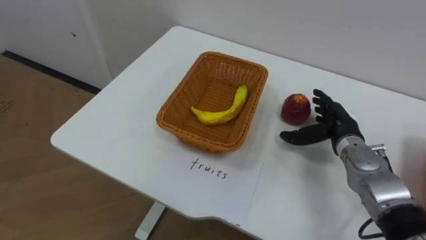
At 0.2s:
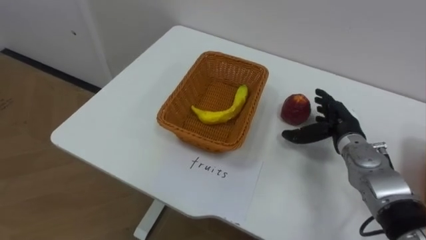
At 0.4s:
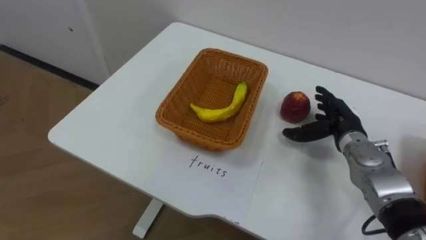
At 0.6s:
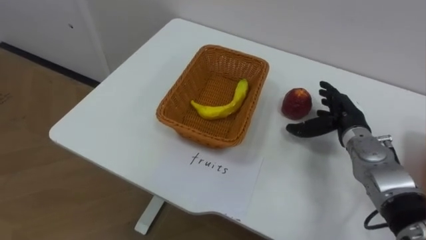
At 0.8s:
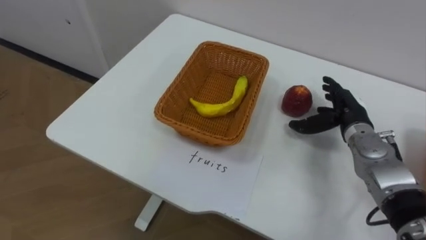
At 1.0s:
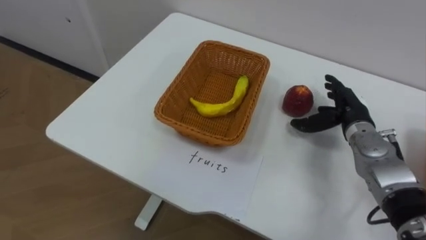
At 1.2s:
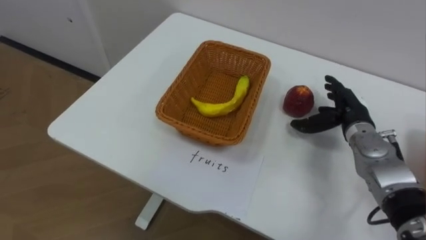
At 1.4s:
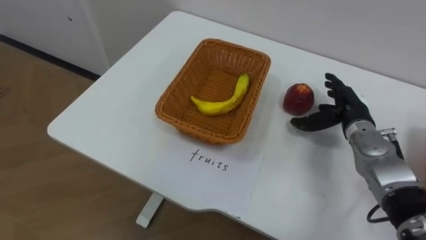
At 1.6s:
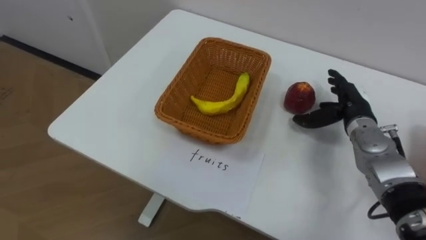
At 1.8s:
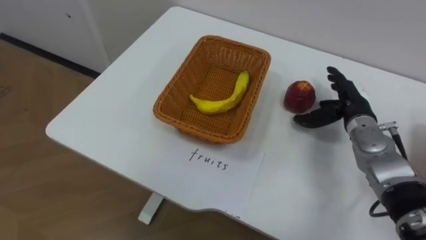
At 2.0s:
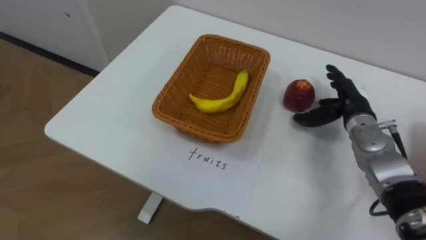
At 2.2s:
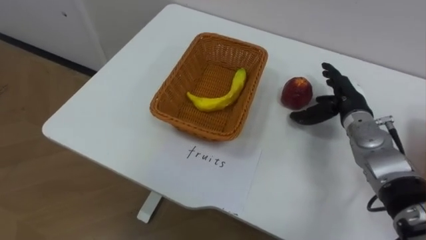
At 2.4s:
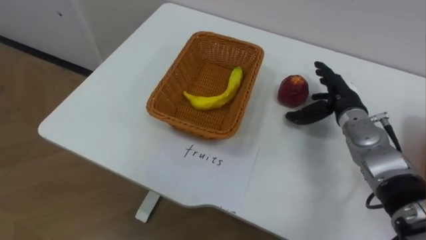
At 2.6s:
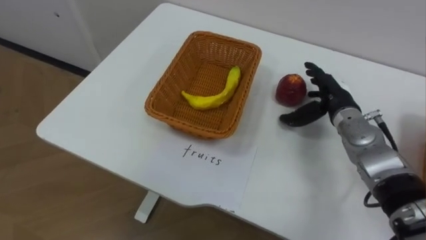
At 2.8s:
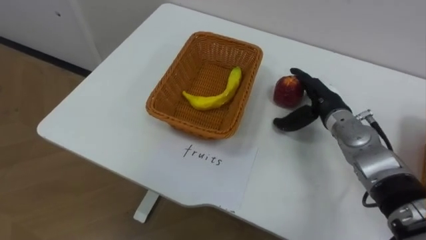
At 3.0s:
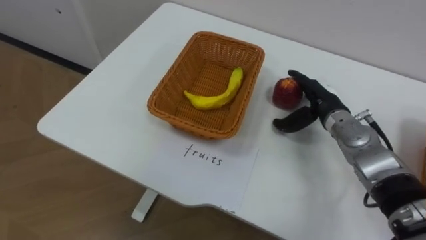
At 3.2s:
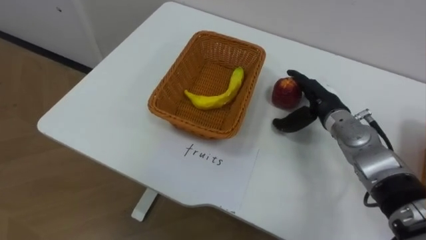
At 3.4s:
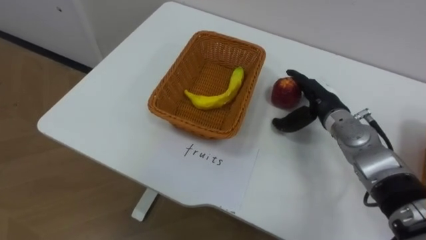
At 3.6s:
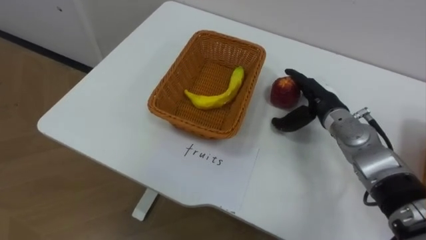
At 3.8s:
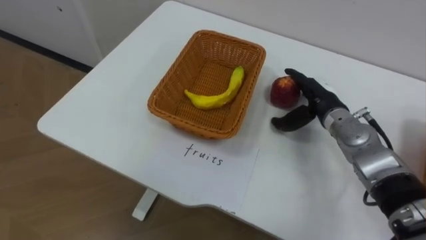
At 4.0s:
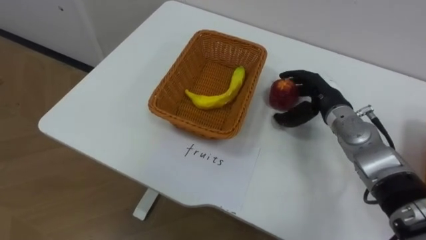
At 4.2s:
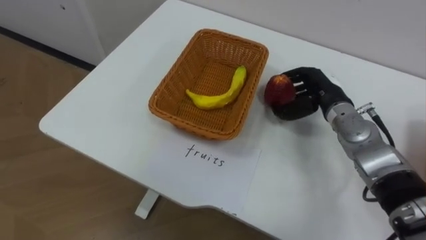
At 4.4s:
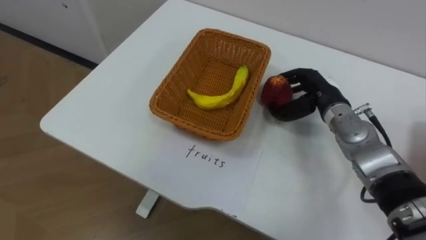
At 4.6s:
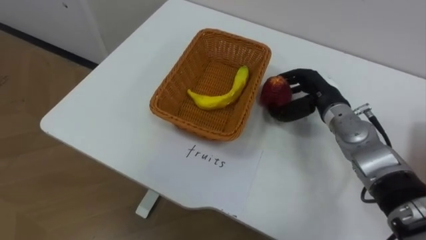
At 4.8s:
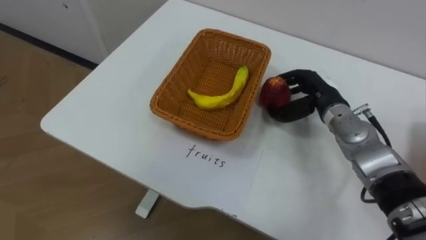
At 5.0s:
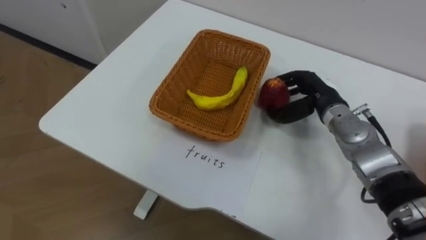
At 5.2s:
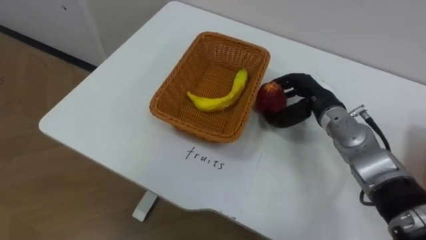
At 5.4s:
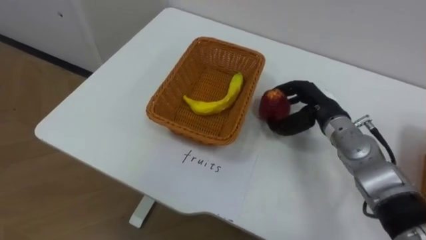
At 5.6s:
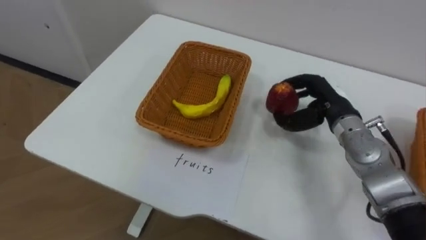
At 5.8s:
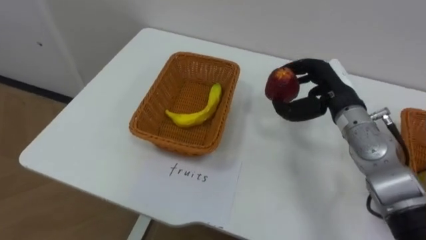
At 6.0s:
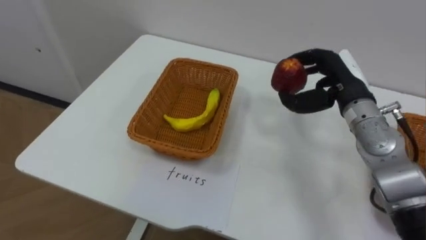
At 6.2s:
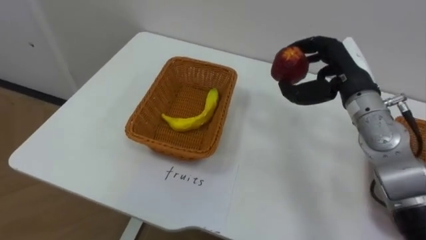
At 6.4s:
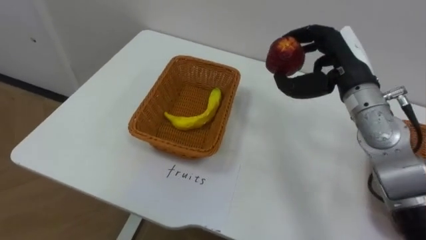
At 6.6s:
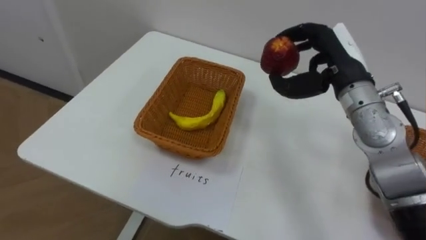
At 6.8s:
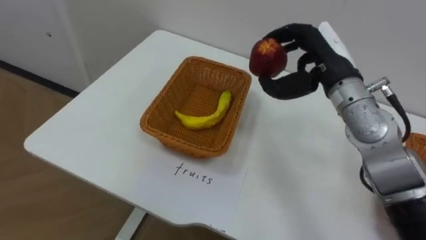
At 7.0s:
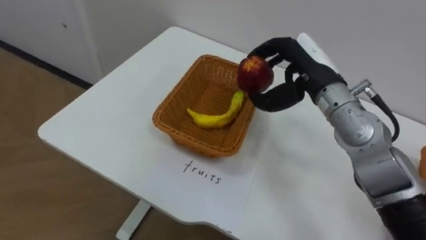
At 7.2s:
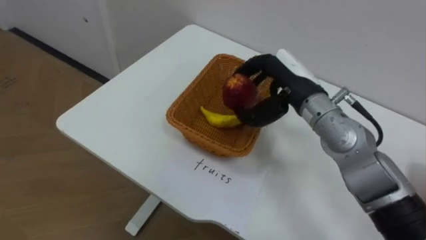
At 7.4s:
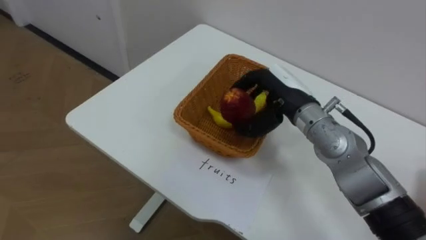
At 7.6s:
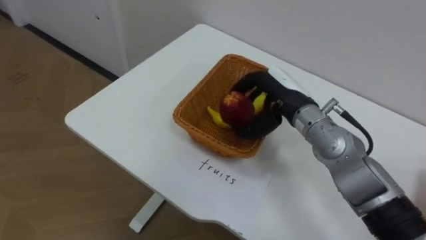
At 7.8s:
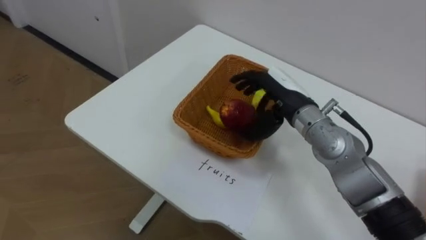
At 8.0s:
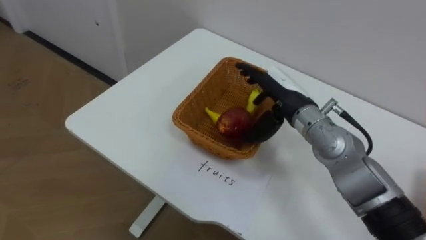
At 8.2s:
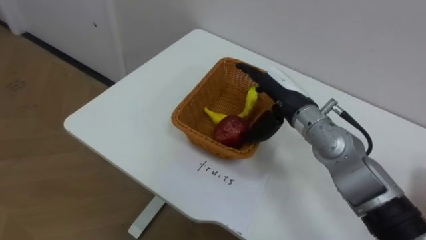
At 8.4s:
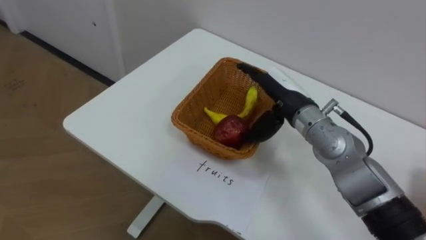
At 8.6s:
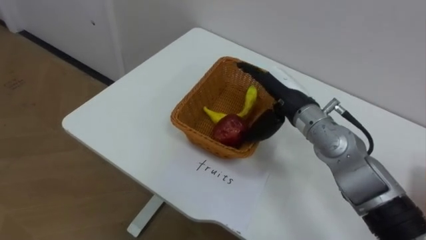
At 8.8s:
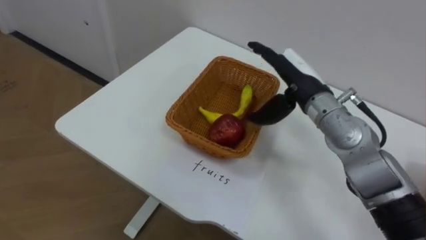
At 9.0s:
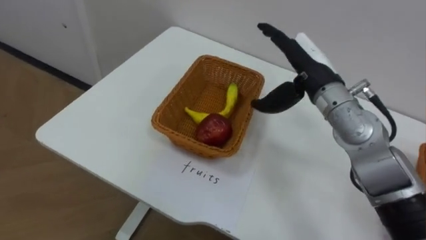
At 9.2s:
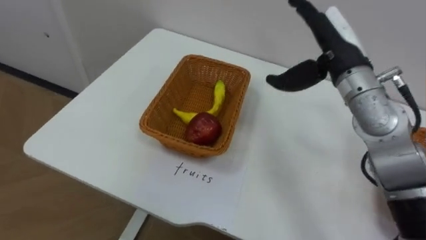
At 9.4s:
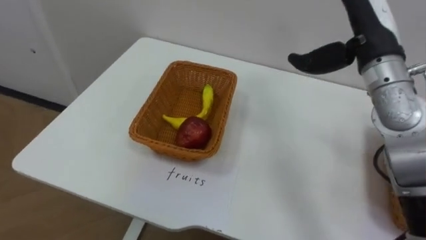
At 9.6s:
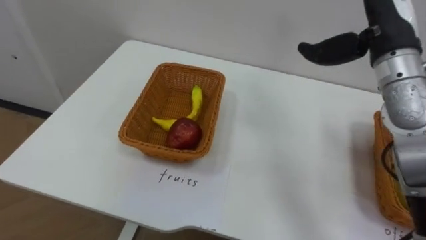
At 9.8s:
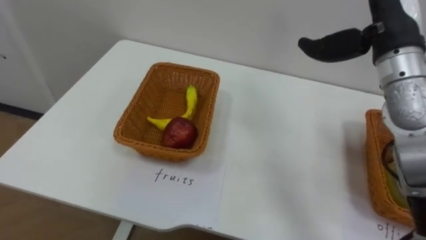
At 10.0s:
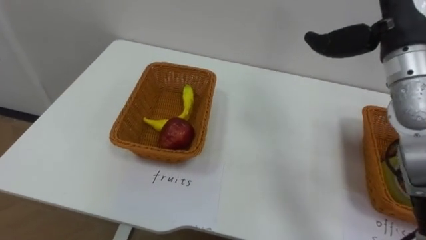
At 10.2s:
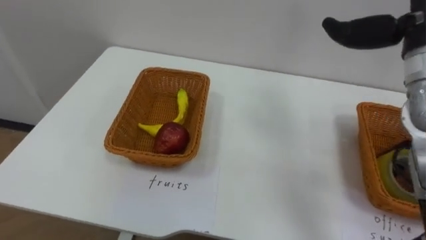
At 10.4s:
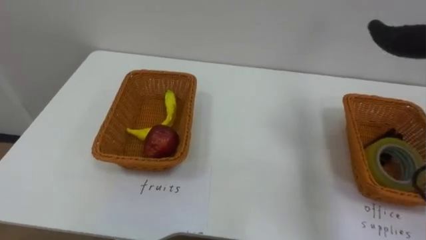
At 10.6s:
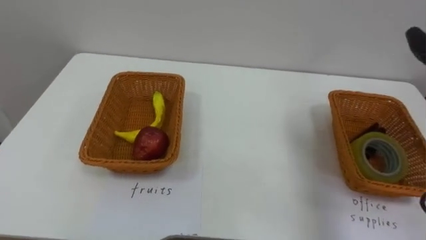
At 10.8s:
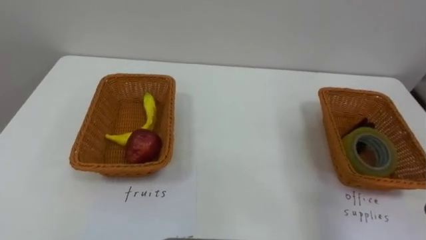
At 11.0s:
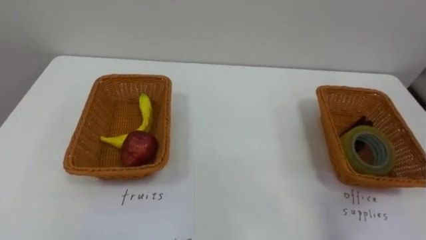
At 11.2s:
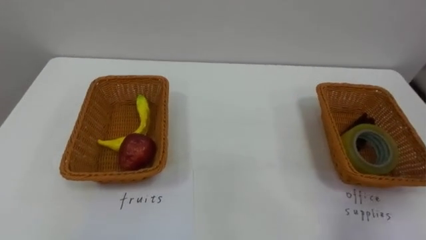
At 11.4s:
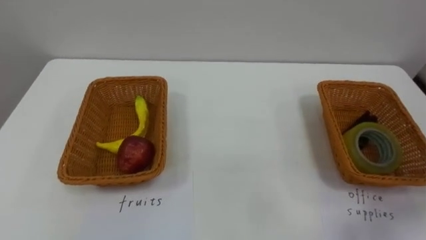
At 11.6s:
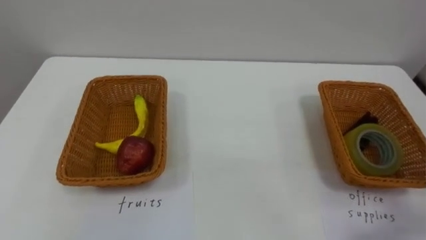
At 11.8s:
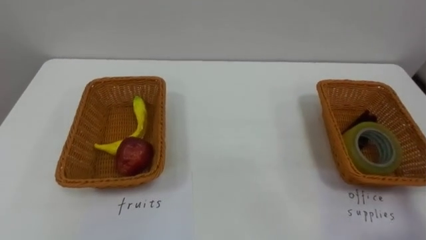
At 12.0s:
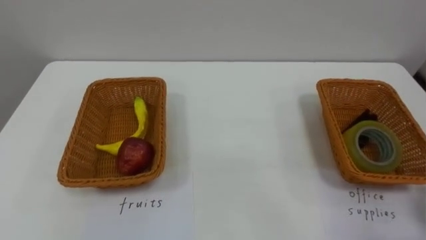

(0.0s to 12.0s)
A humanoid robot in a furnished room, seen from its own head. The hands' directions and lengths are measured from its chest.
Task of the whole recording: Separate the items on the table and place them into the two baskets.
1.6s - 3.0s: The right hand moves to the left, approximately 5 cm.
3.0s - 4.4s: The right hand closes its fingers.
4.4s - 6.0s: The right hand goes about 5 cm upward.
6.0s - 7.6s: The right hand heads to the left, covering about 10 cm.
7.6s - 9.0s: The right hand ends up approximately 5 cm from where it was, and opens its fingers.

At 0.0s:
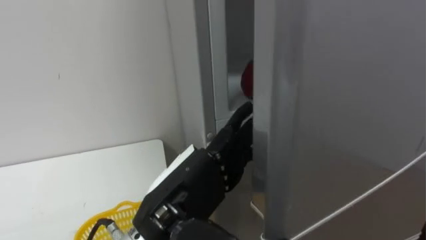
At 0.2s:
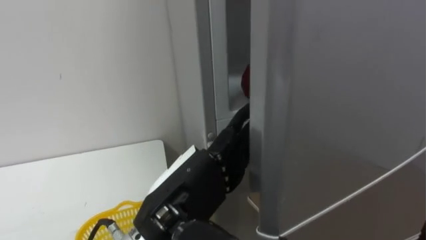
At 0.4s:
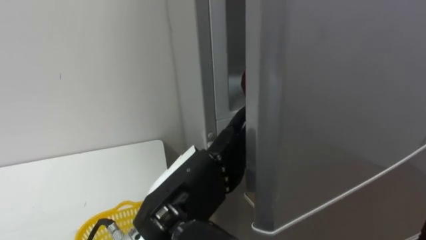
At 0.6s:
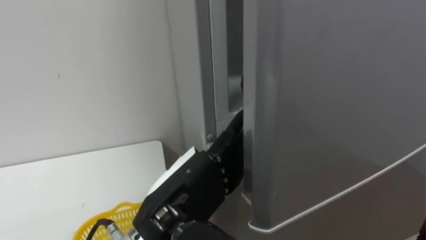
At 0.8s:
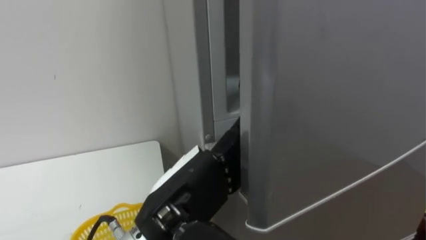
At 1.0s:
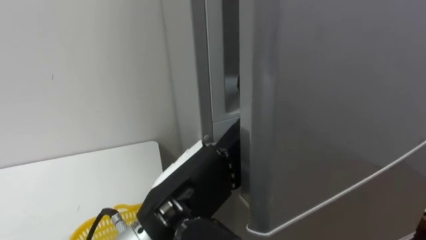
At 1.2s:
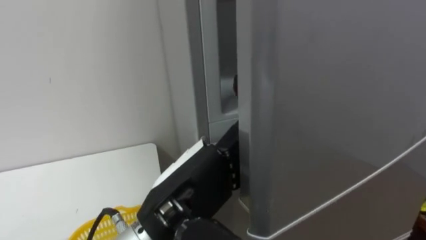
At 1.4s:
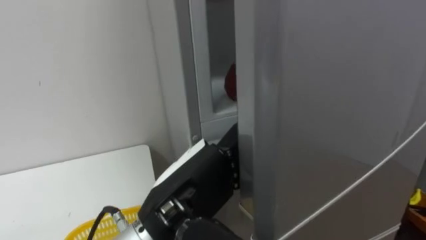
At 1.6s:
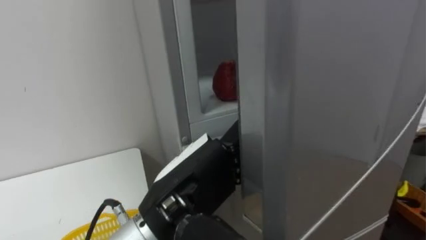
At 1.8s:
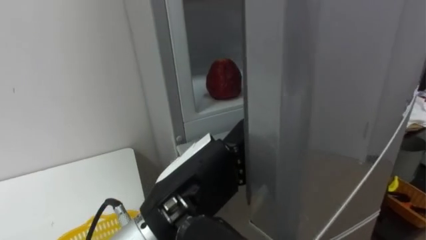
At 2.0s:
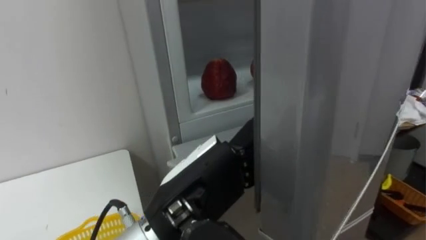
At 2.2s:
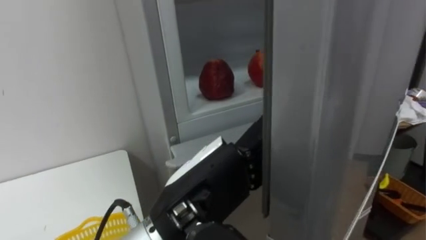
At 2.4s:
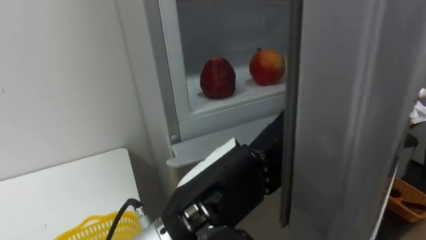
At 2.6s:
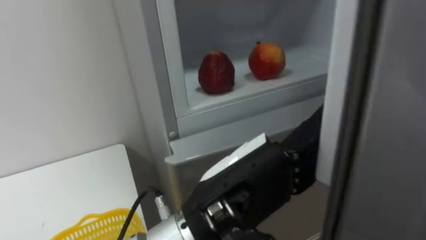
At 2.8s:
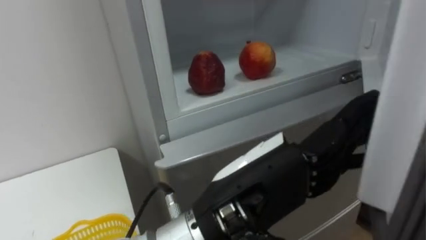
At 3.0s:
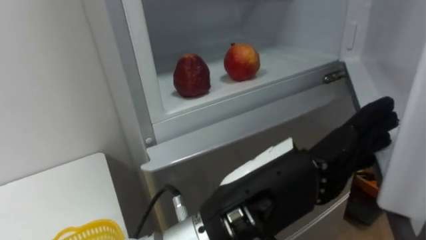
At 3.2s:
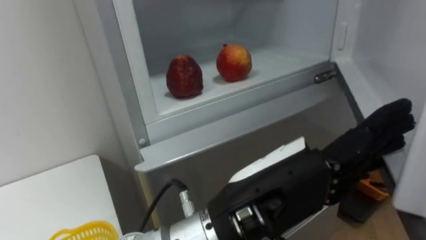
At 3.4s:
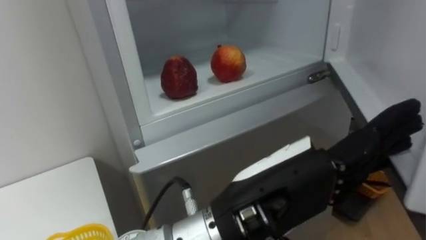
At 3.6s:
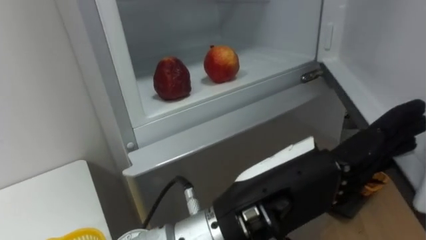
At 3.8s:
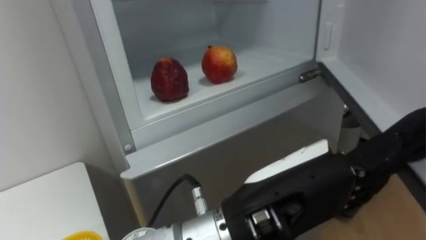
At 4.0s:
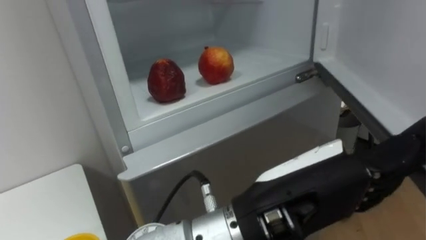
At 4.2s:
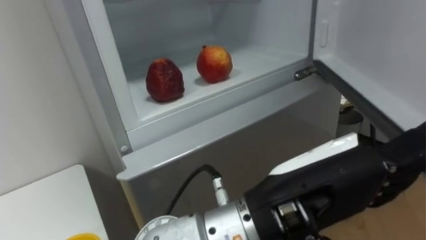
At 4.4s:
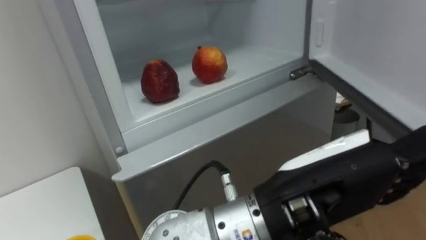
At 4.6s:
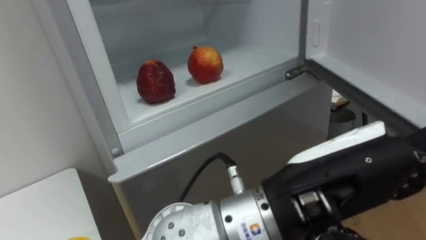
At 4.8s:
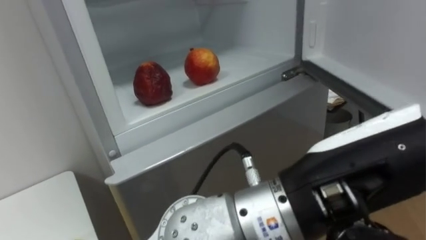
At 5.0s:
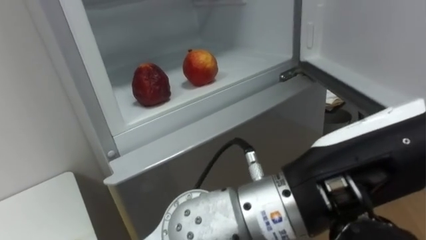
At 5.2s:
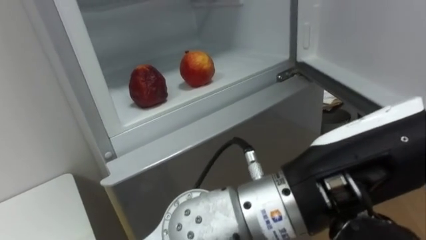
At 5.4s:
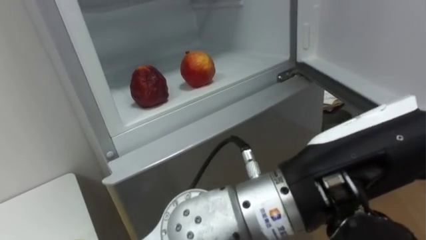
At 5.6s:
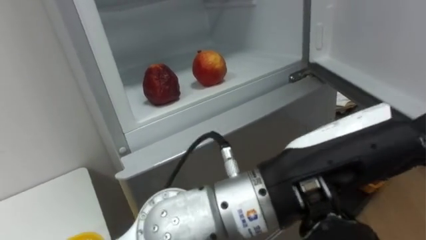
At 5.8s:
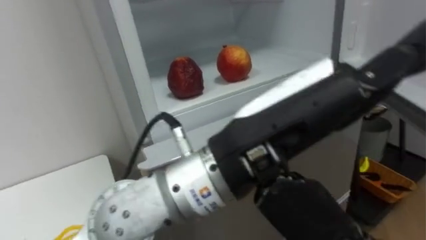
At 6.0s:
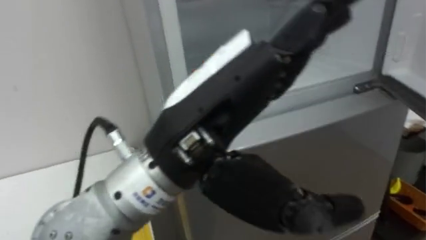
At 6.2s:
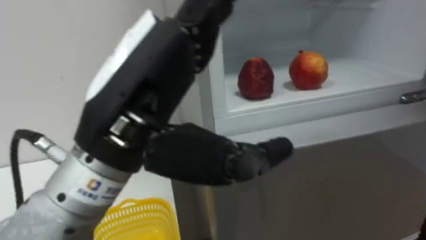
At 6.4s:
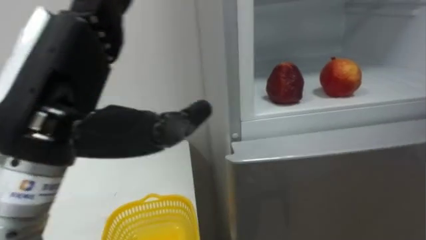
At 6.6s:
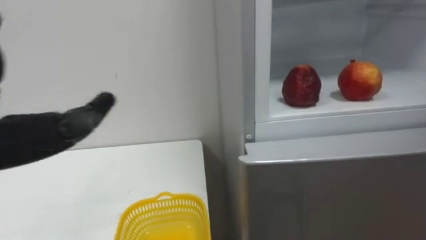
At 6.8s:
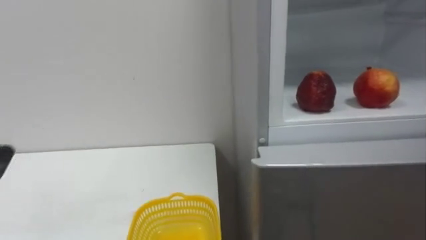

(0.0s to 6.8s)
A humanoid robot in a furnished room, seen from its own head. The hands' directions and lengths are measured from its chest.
Task of the whole recording: Open the refrigerator door, take out the apple and the pomegranate, place them in the fruit basket on the left, and close the refrigerator door.
1.4s - 2.8s: The left hand is displaced to the right by some 5 cm.
4.0s - 5.4s: The left hand changes place by roughly 5 cm.
